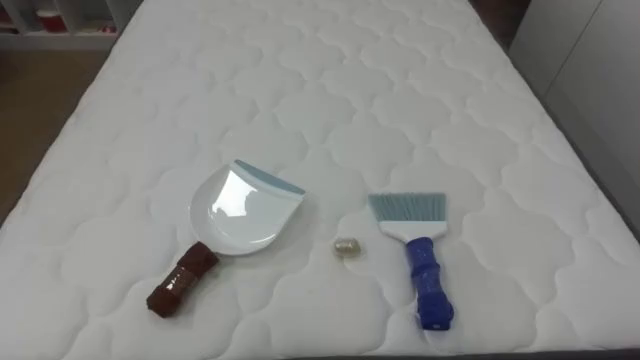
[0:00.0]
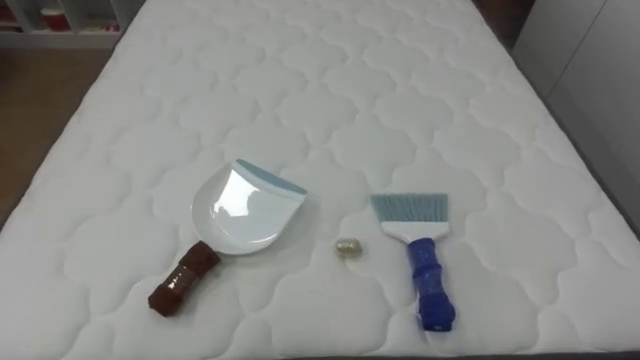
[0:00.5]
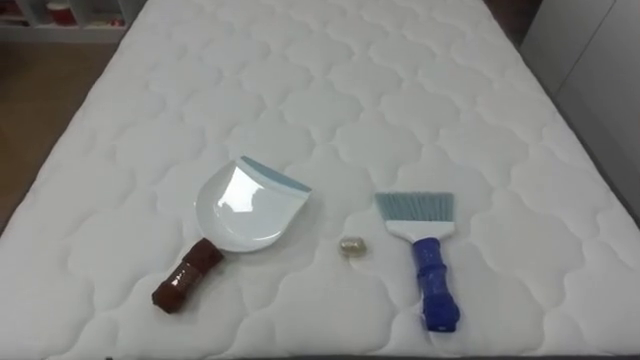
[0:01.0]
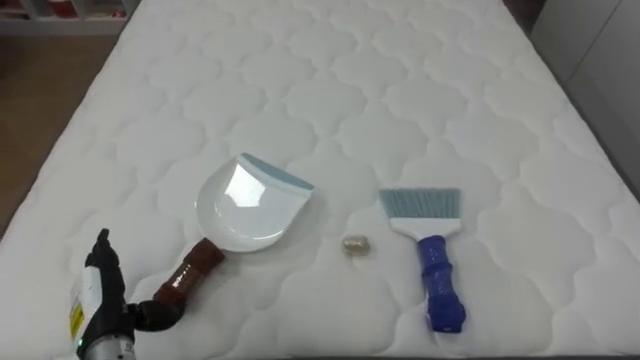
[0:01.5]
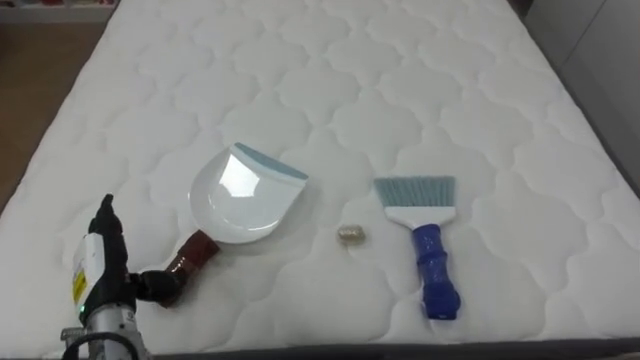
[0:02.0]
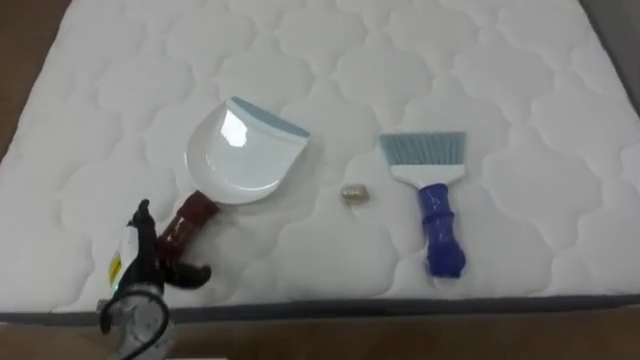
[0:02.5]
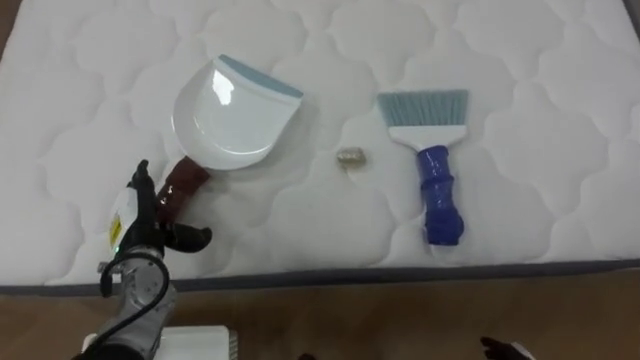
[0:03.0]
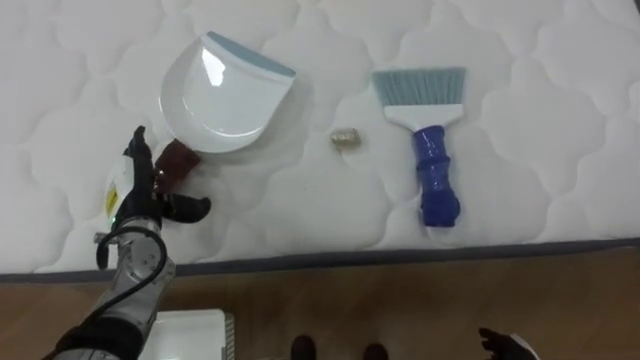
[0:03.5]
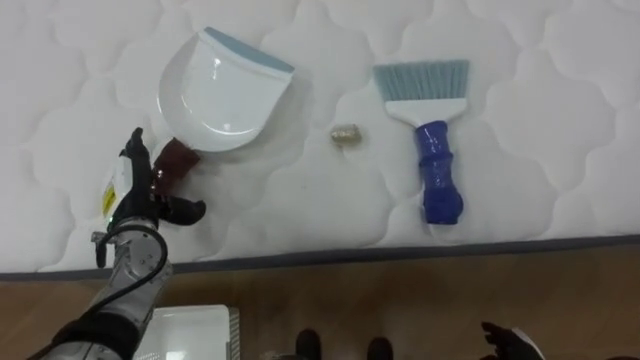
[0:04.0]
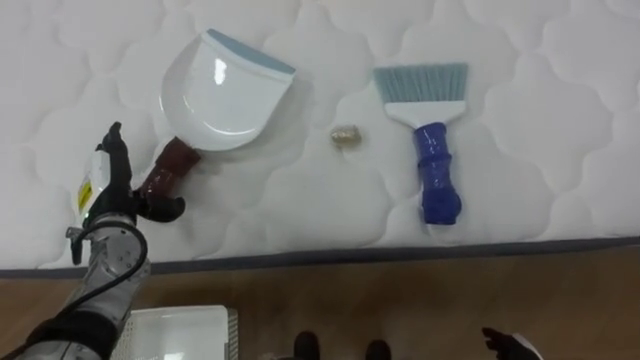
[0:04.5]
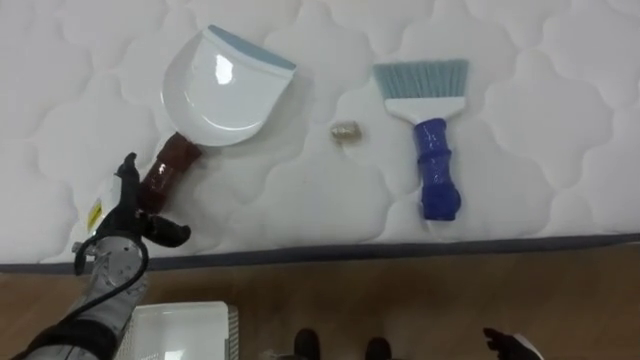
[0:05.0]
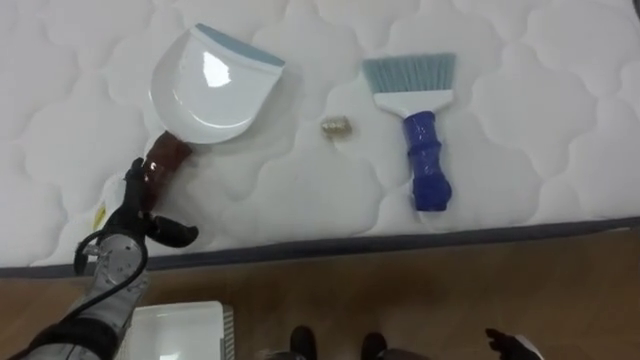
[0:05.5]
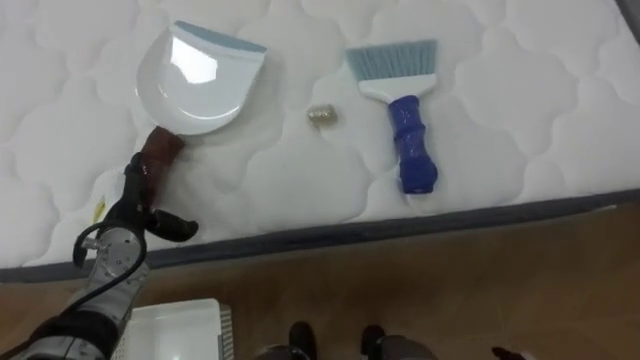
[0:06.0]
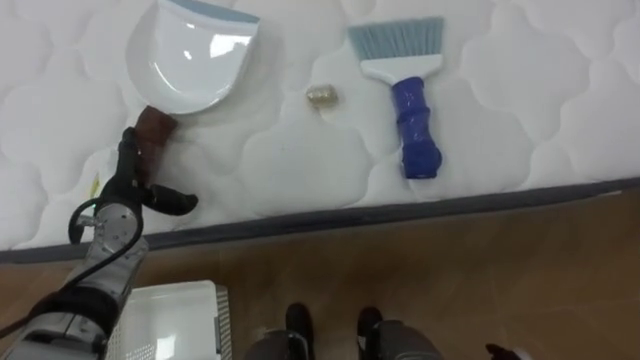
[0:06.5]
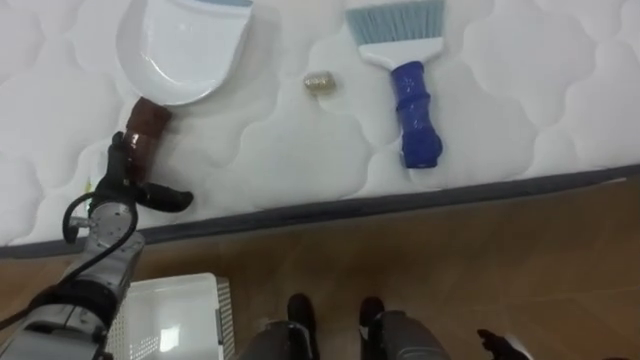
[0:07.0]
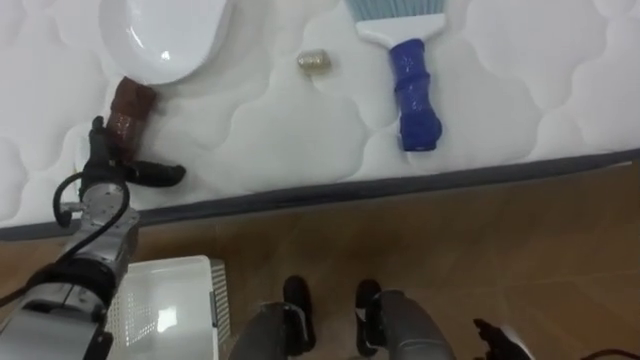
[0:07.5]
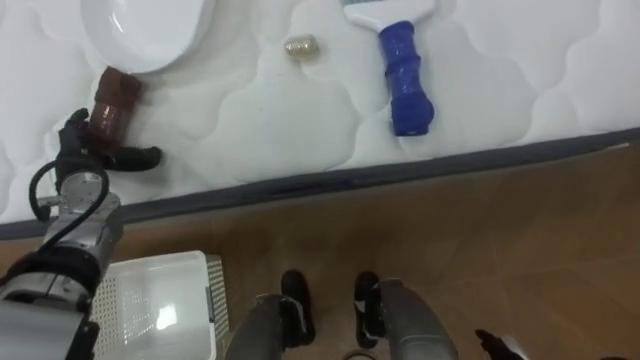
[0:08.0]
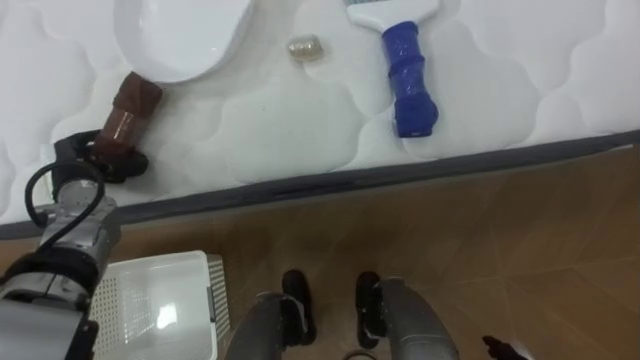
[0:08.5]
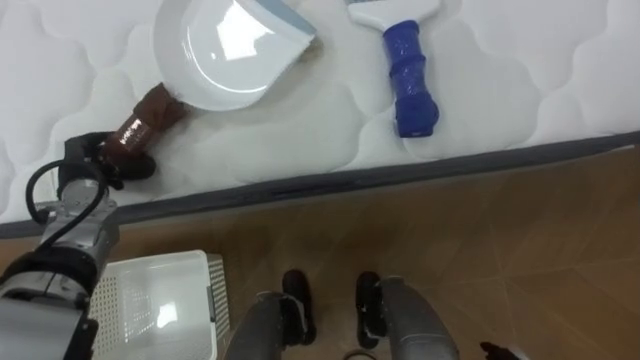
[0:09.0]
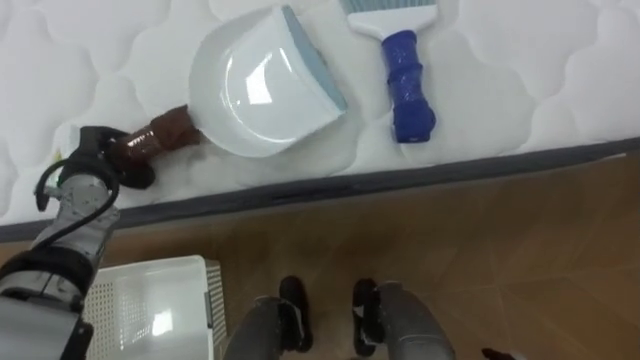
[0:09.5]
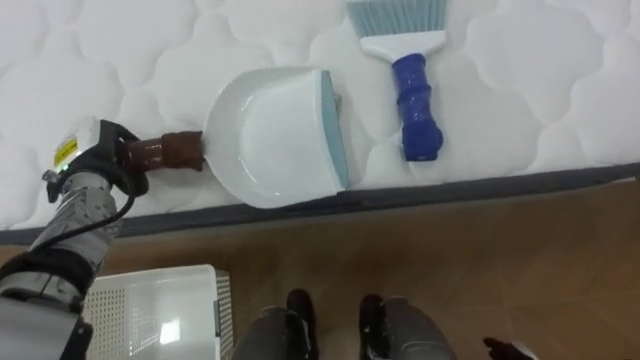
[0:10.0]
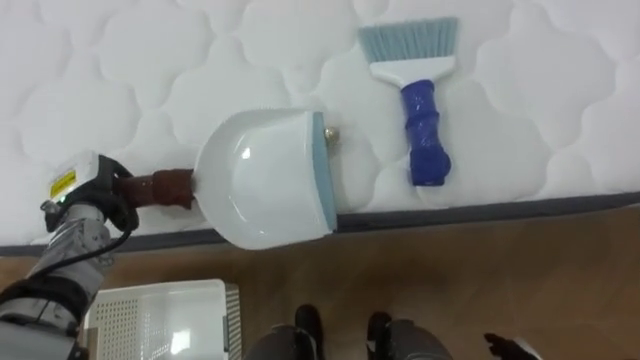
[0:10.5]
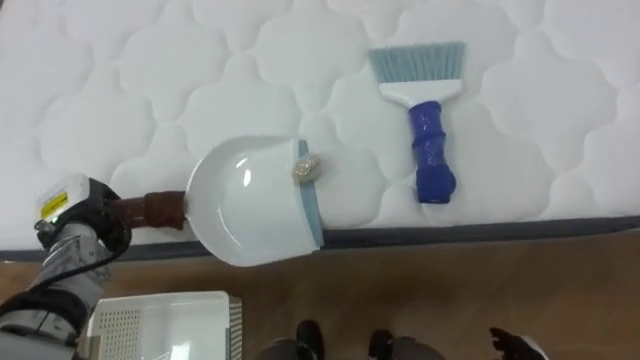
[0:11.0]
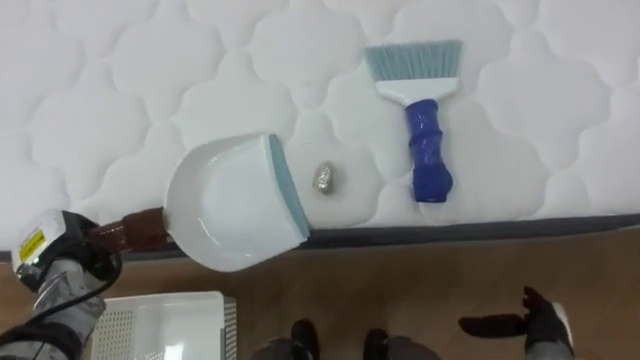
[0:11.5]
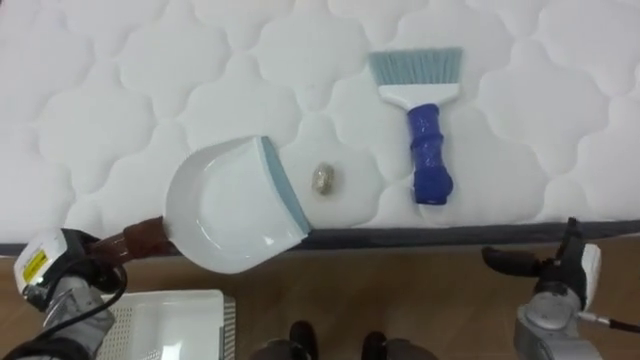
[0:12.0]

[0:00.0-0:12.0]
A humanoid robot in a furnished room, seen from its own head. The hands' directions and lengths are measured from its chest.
Task of the whole recording: Pick up the brush on your right and the dustpan on your left. Use the brush to sweep the crumpled paper on the bed into the dustpan, then turn left and empty it into the basket.
0:02.0 to 0:04.0: The left hand moves forward, approximately 10 cm.
0:06.0 to 0:08.0: The left hand is displaced upward by roughly 5 cm.
0:08.0 to 0:10.0: The left hand closes up.
0:10.0 to 0:12.0: The left hand goes approximately 15 cm backward and downward.

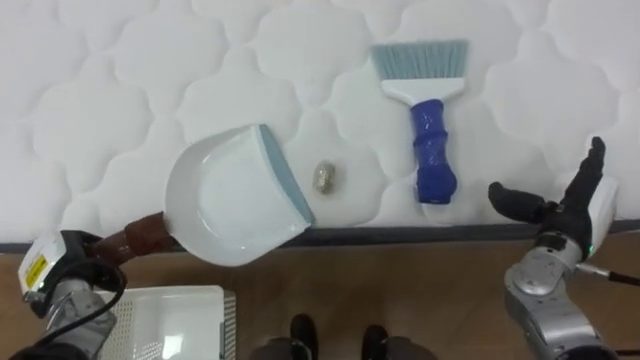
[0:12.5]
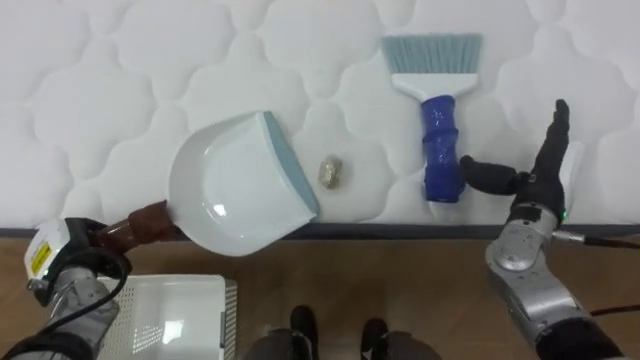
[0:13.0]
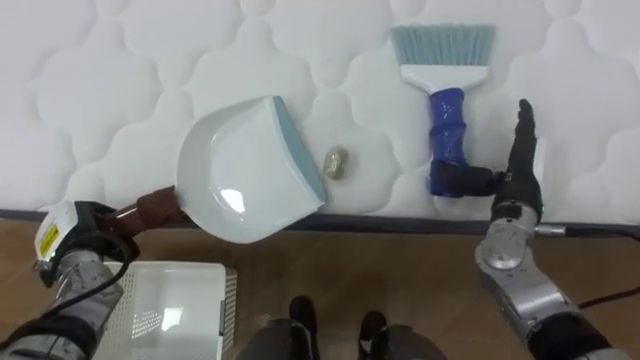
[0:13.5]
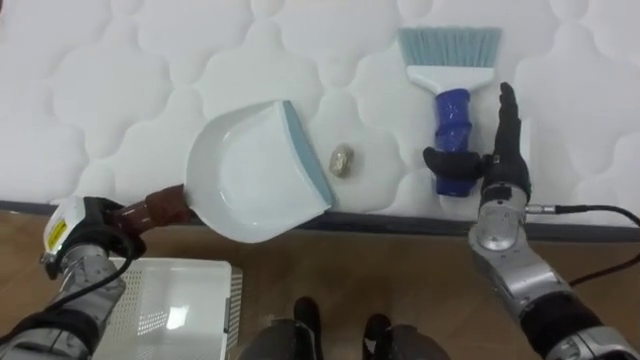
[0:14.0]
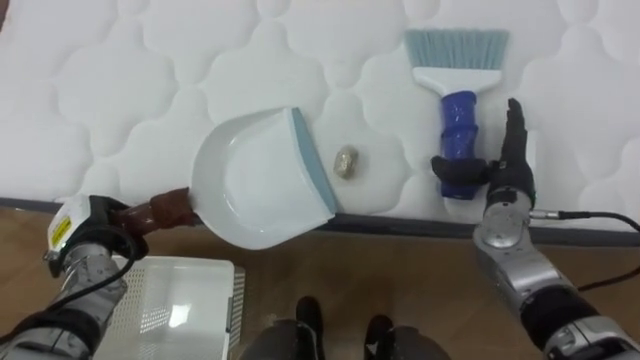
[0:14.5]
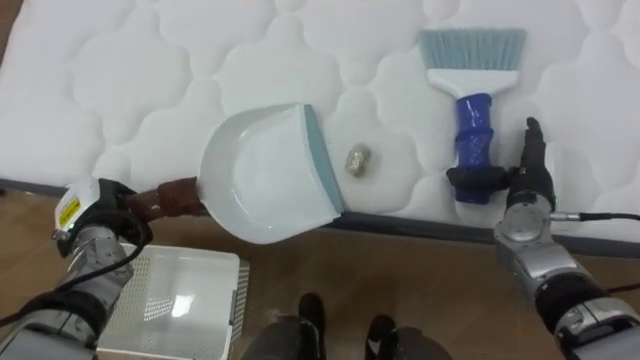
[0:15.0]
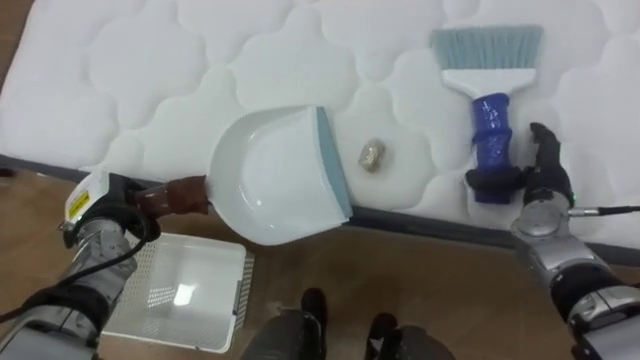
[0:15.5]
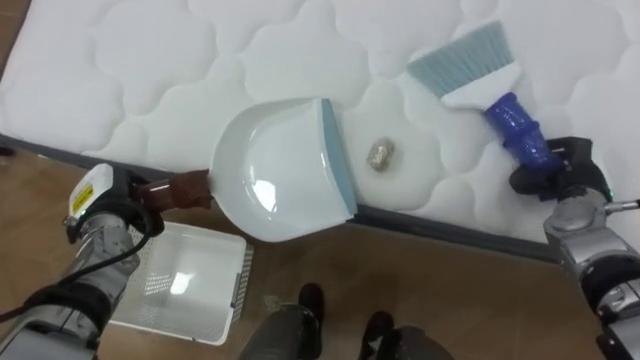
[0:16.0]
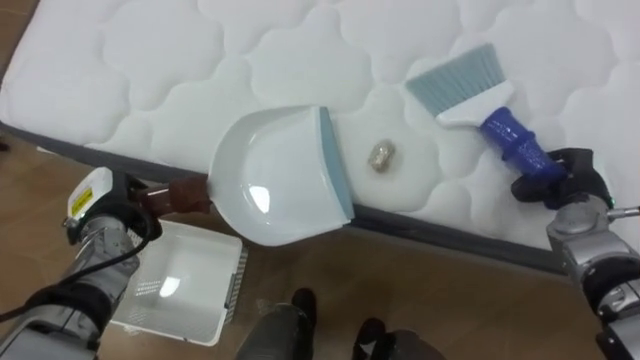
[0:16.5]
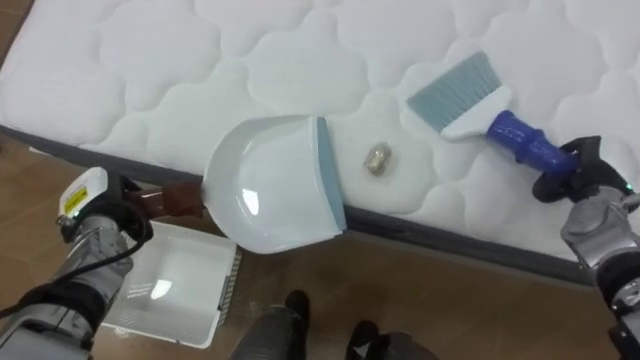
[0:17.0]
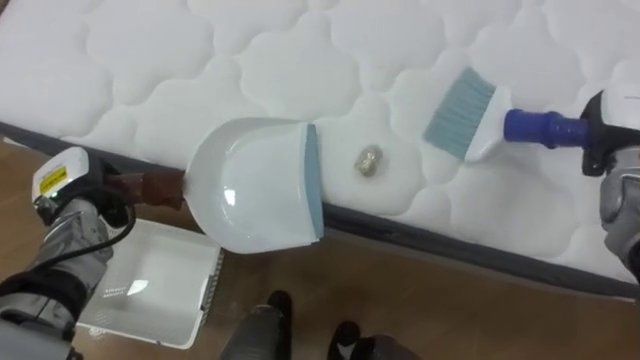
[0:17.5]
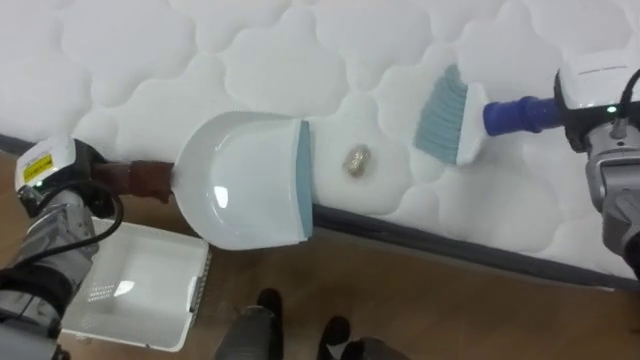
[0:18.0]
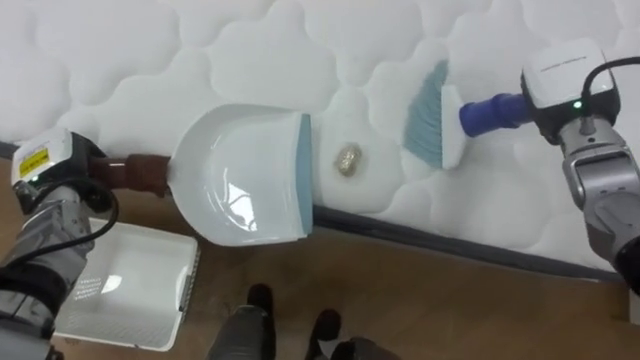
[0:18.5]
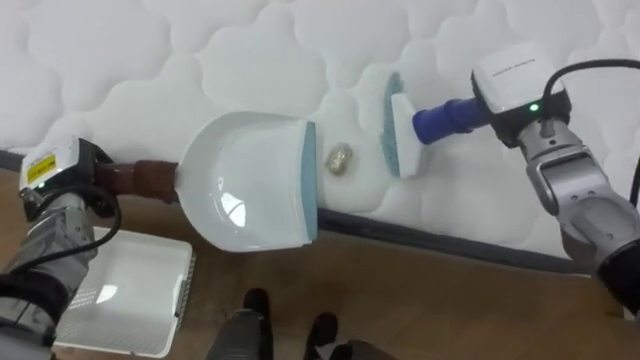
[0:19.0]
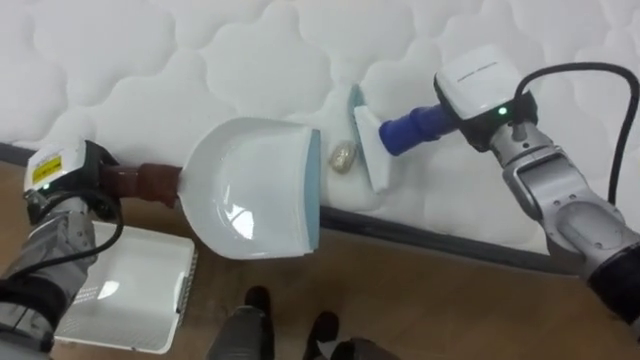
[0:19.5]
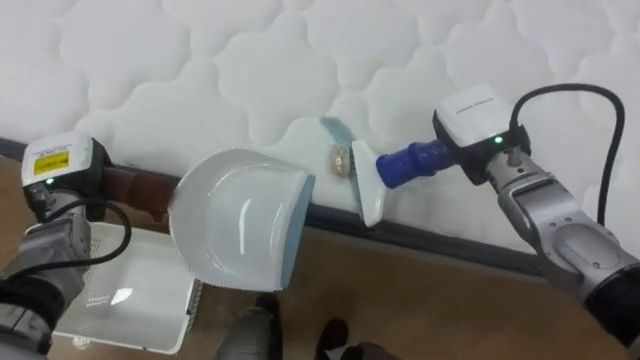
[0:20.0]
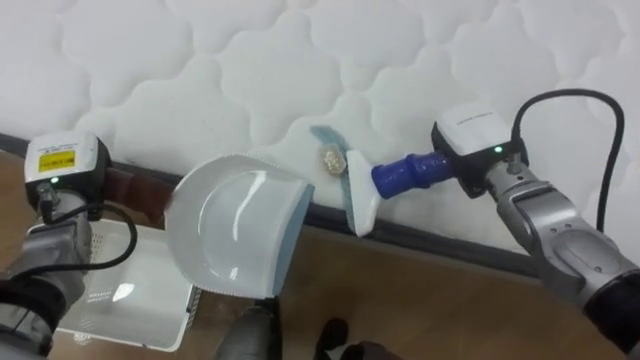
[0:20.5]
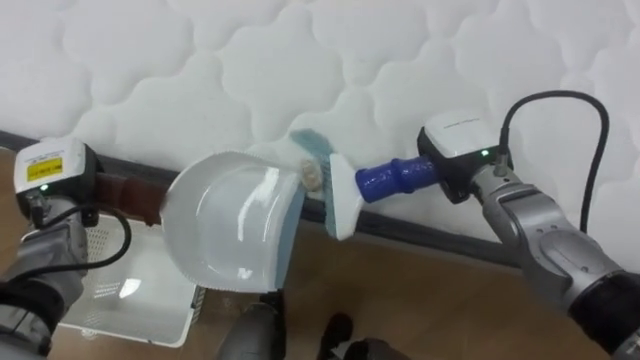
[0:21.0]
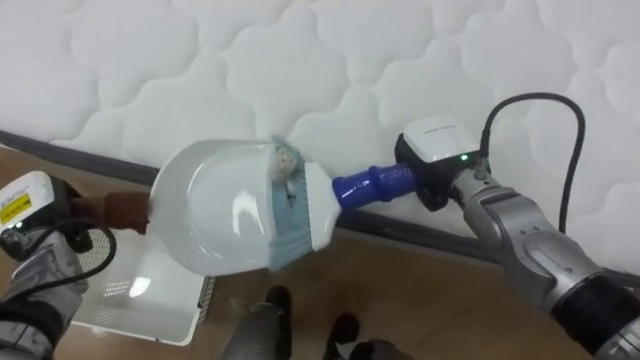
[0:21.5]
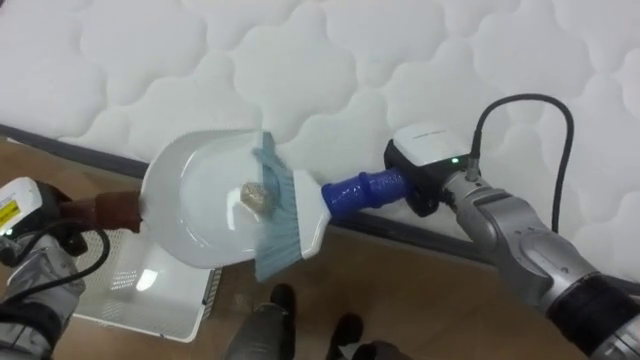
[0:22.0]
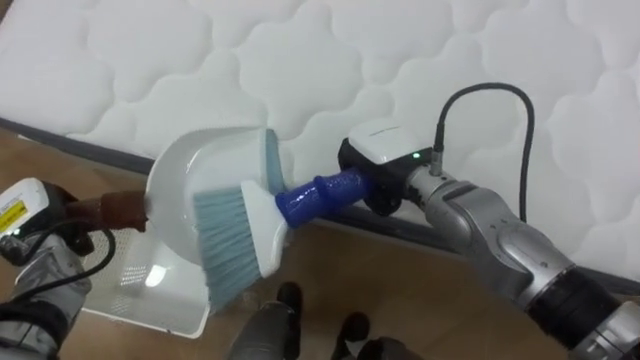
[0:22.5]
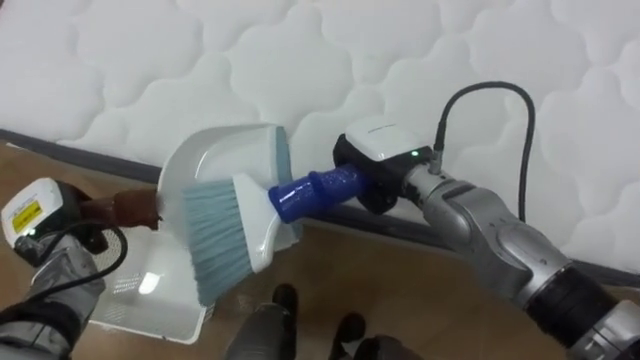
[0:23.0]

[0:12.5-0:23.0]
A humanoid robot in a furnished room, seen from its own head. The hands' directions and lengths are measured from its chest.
Task of the whole recording: Pick up the brush on your right and the dustpan on your left. Use the brush to sweep the crumpled paper on the bed into the dustpan, then turn left and empty it into the basket.
0:12.5 to 0:14.5: The right hand travels forward and to the left by roughly 10 cm. The left hand changes place by some 5 cm.
0:14.5 to 0:16.5: The right hand shifts about 10 cm to the right, and closes.
0:16.5 to 0:19.0: The right hand shifts some 20 cm upward, to the left and forward; the left hand ends up roughly 5 cm from where it was.
0:19.0 to 0:21.0: The right hand moves downward and to the left, about 10 cm.
0:21.0 to 0:23.0: The left hand shifts by roughly 5 cm, while the right hand travels to the left by some 10 cm.
